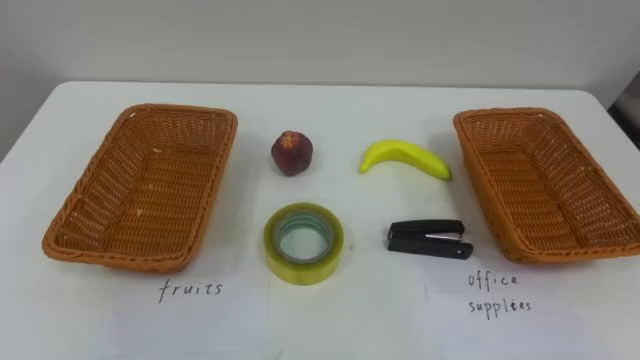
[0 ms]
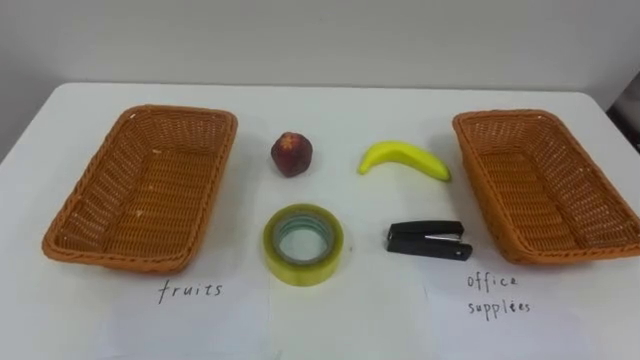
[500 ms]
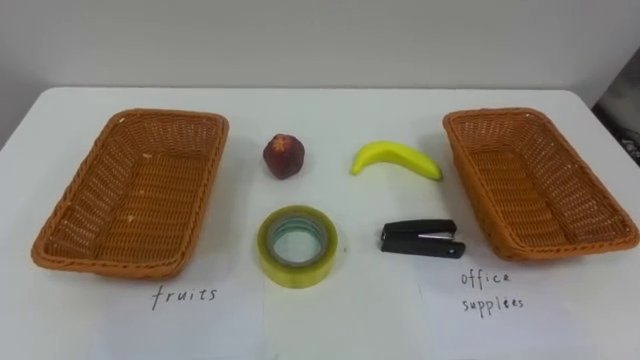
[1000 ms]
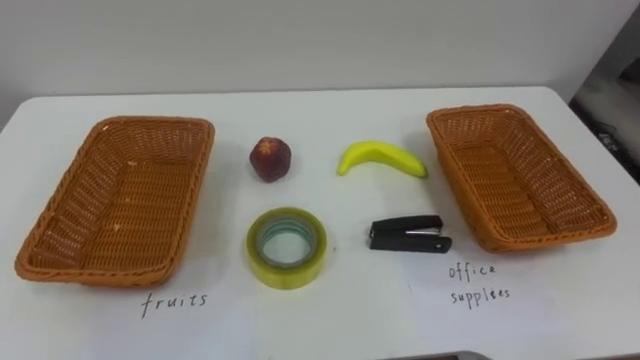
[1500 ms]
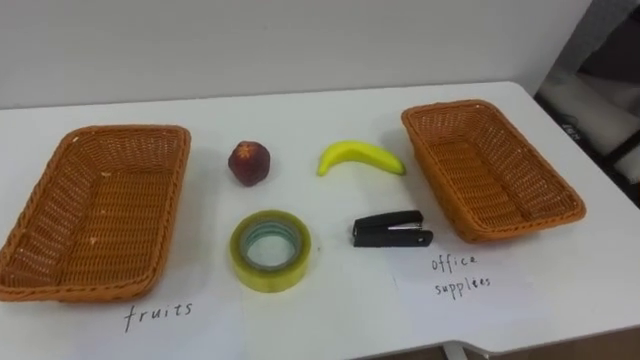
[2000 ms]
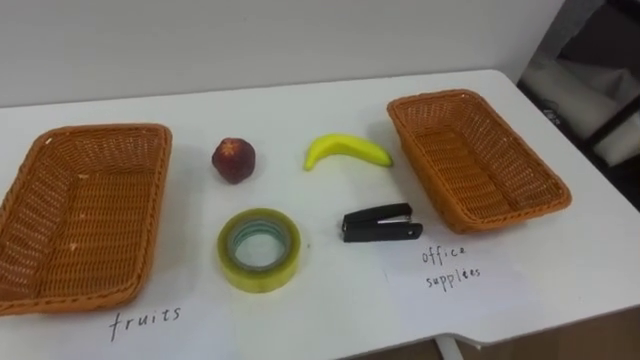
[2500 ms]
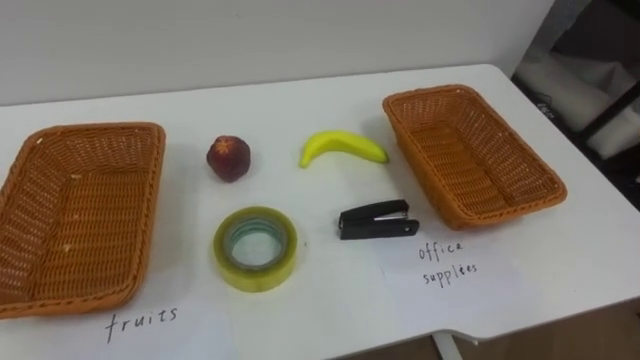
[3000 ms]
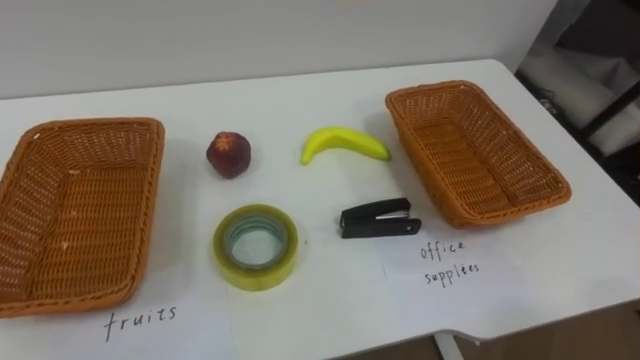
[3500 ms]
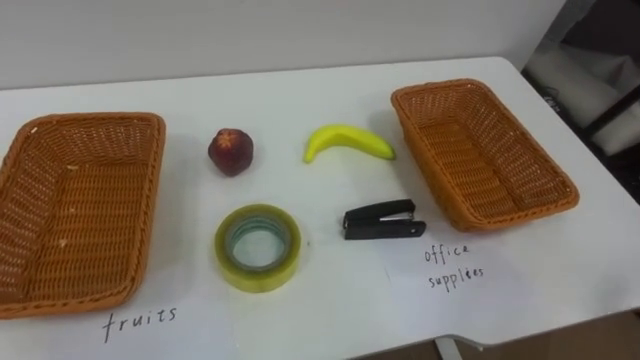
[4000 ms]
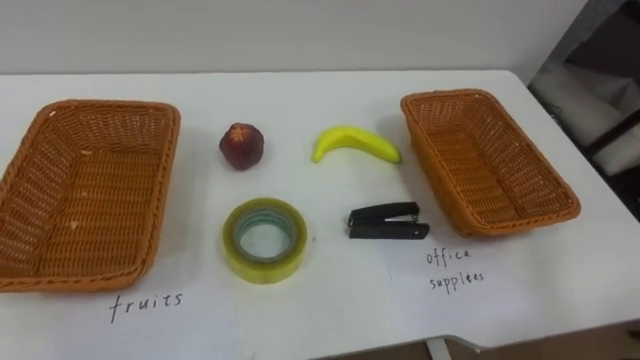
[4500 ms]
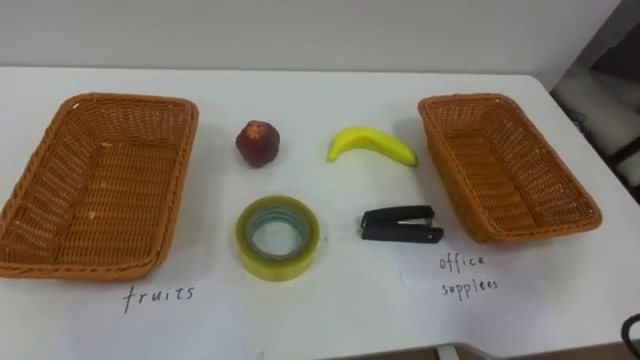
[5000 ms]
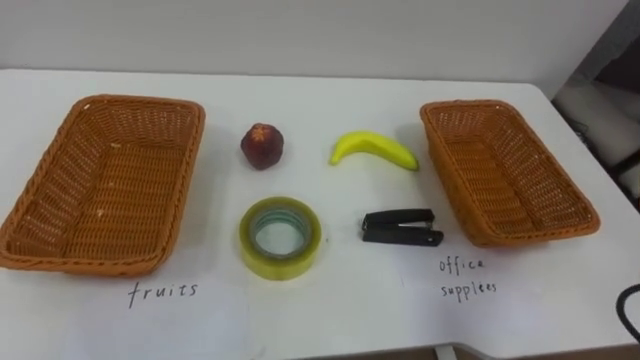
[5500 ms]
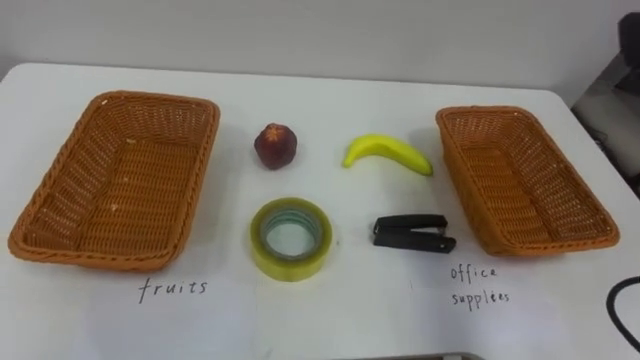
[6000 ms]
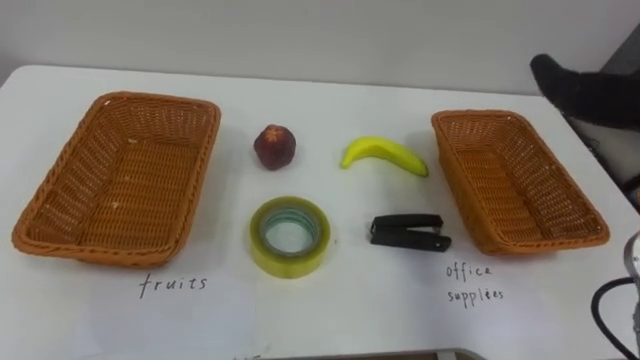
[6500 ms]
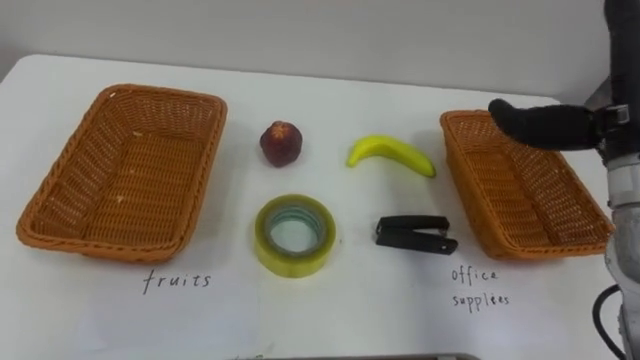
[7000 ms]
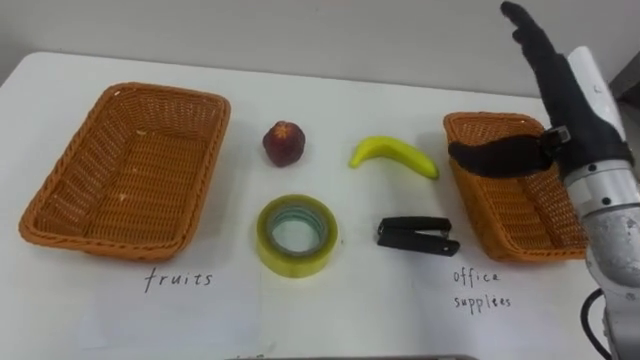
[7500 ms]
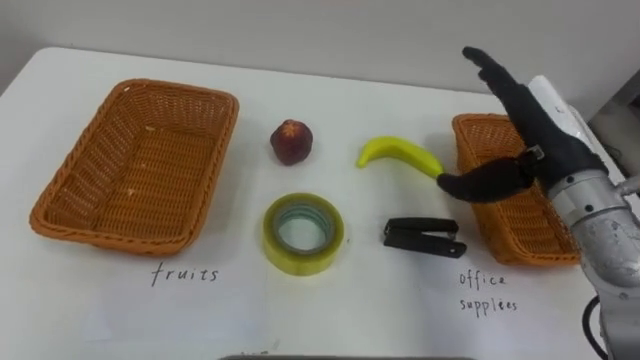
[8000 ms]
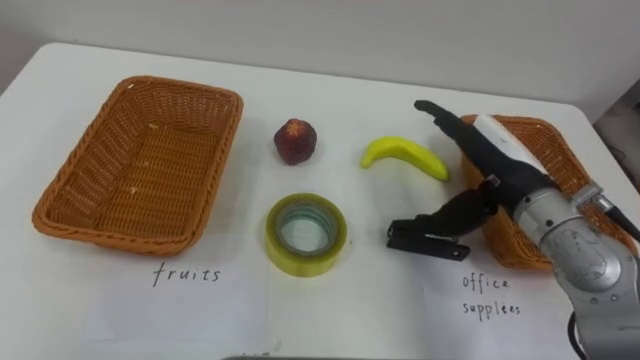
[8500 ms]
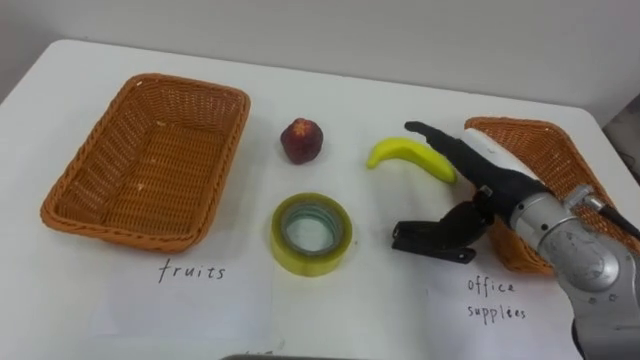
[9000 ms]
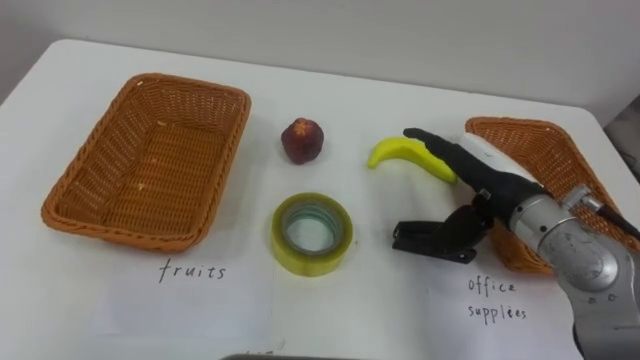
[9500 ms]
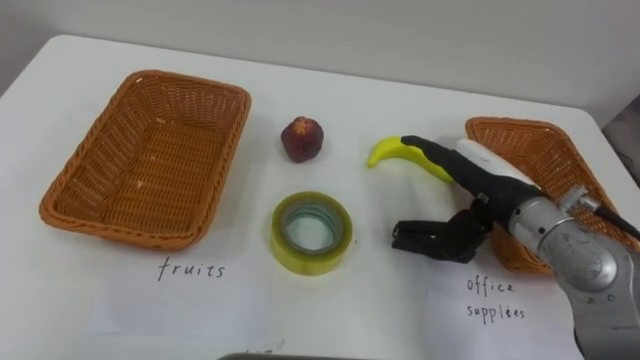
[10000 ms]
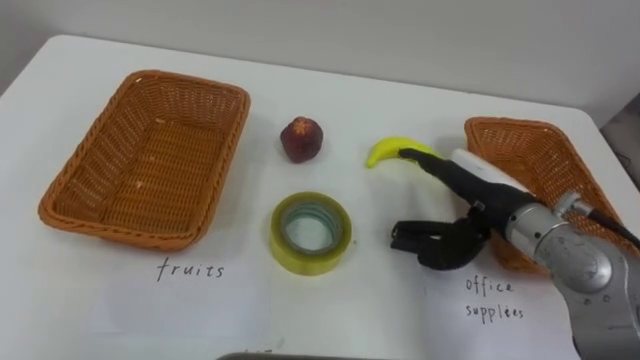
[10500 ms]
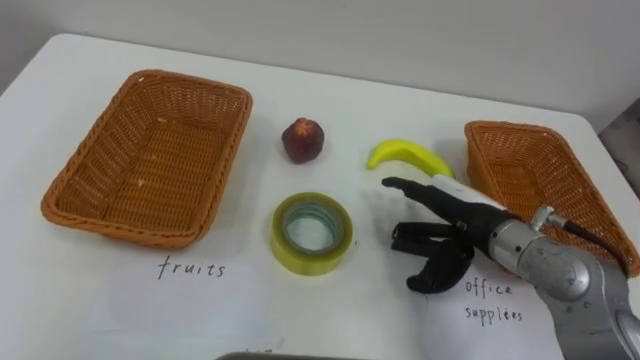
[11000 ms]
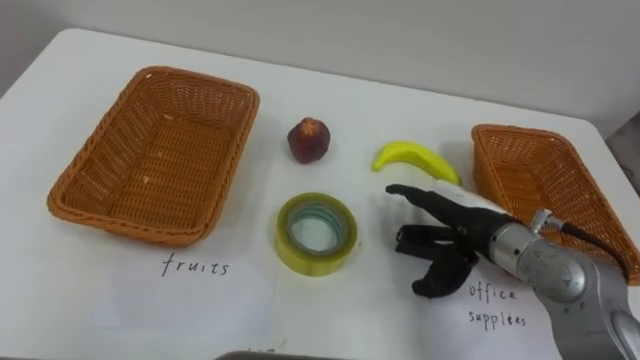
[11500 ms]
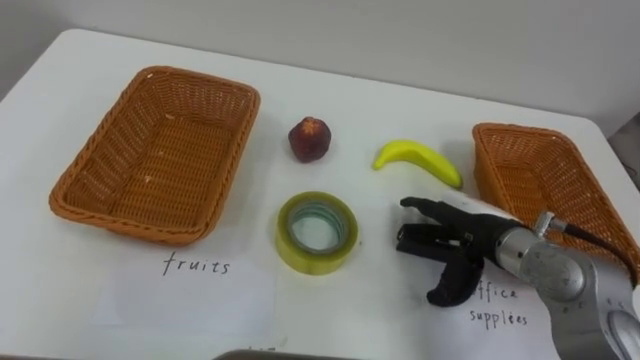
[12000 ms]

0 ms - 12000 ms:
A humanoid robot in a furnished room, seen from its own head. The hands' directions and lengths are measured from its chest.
Task of the whole recording: Separate the items on the table and place them into the two baskets.
8000 ms - 10000 ms: The right hand shifts roughly 5 cm downward.
10000 ms - 12000 ms: The right hand goes some 5 cm downward.

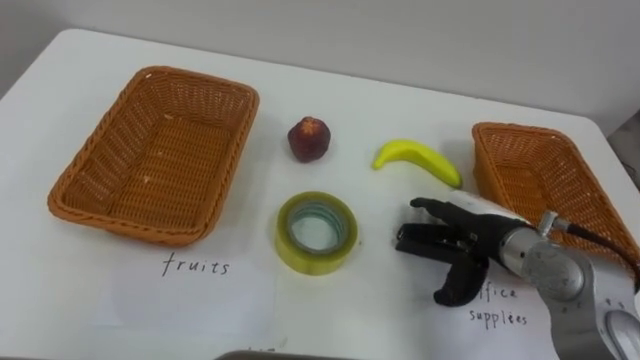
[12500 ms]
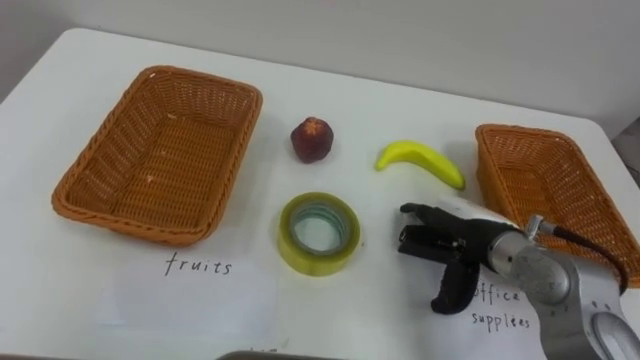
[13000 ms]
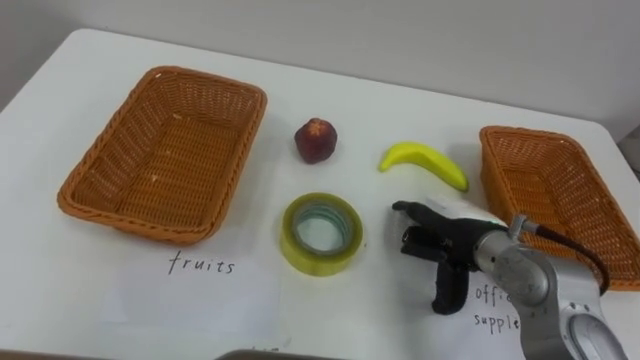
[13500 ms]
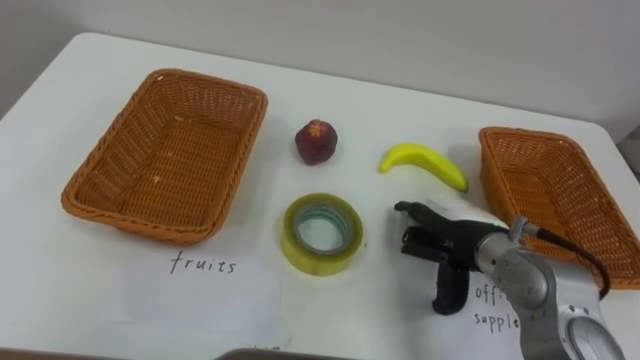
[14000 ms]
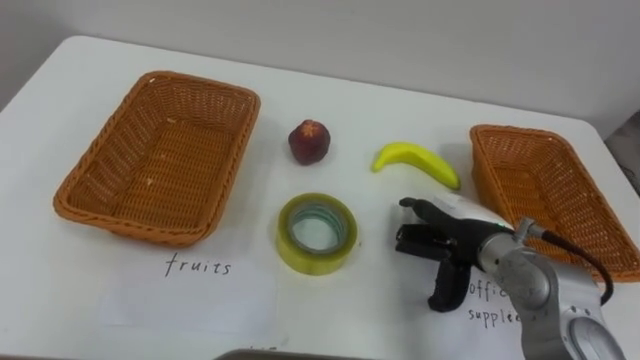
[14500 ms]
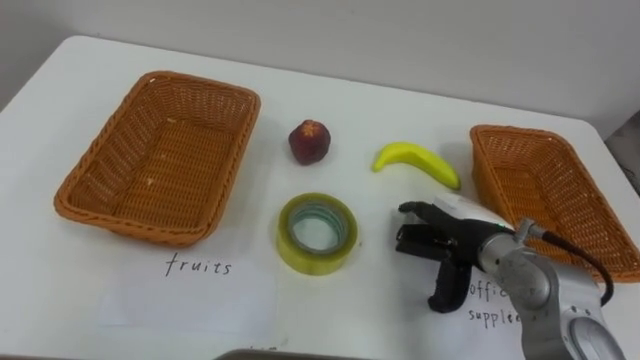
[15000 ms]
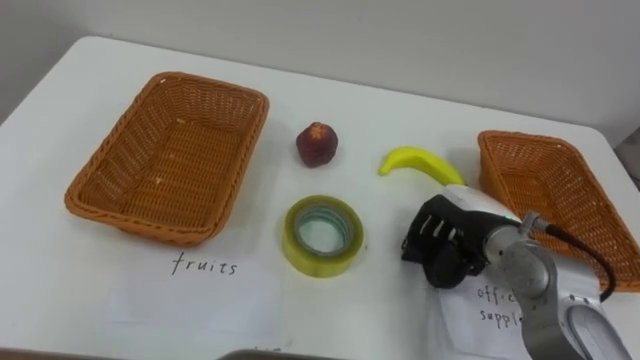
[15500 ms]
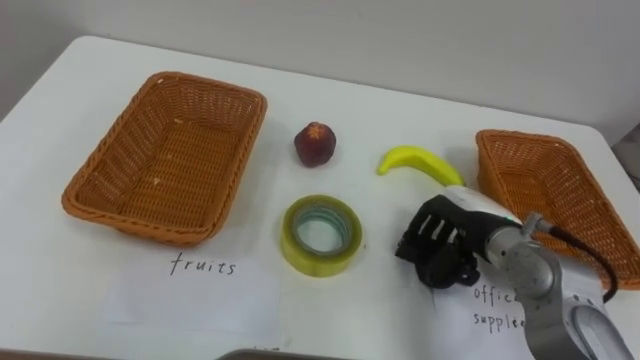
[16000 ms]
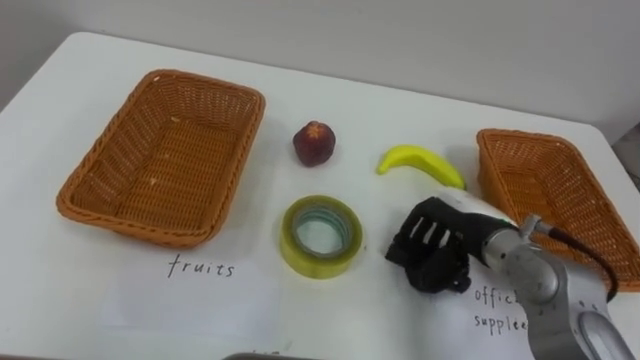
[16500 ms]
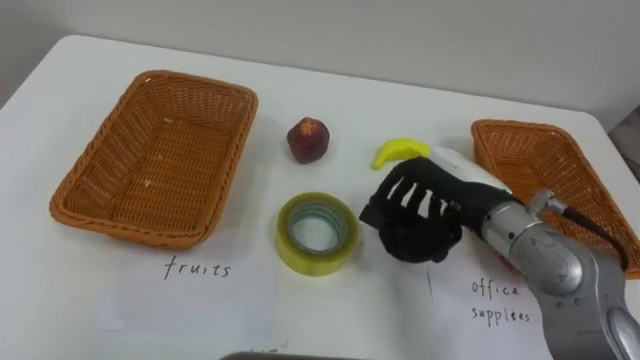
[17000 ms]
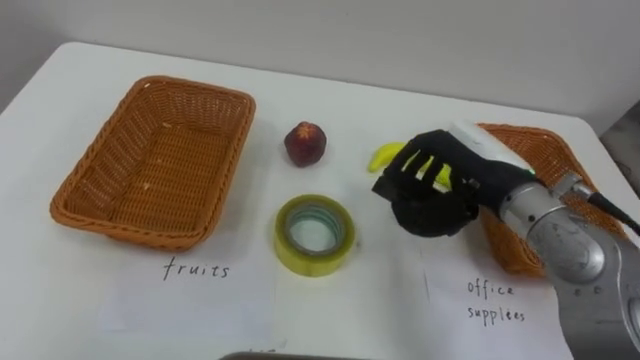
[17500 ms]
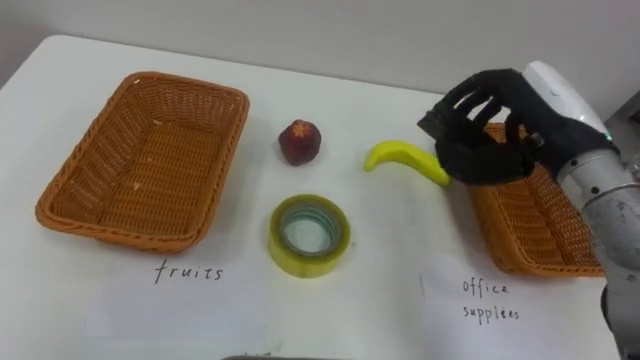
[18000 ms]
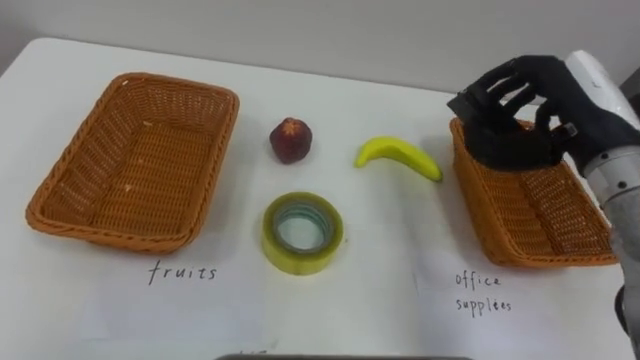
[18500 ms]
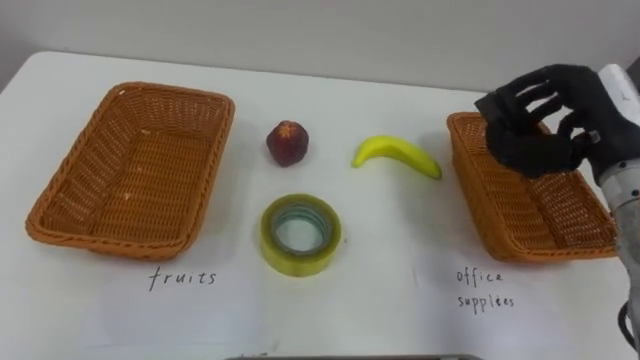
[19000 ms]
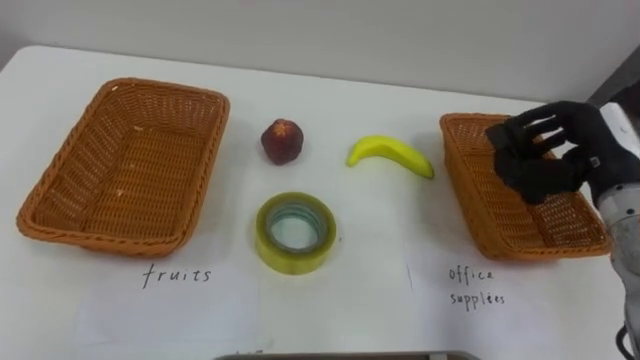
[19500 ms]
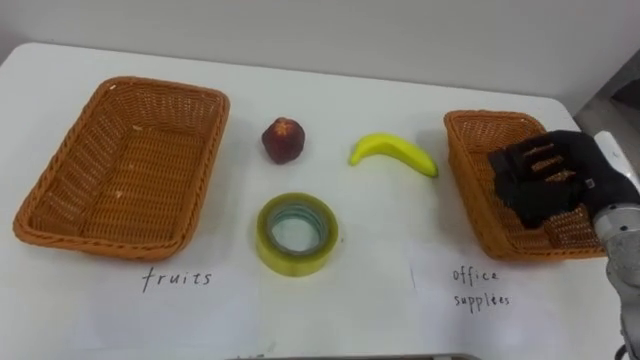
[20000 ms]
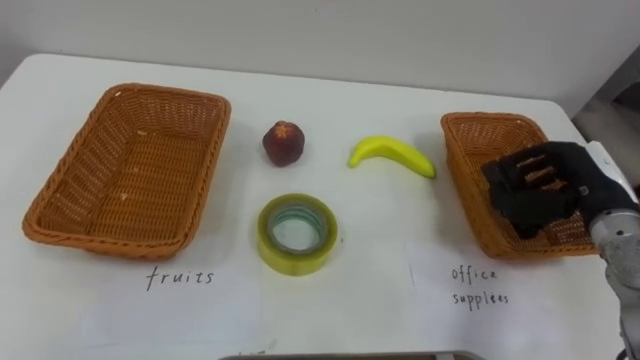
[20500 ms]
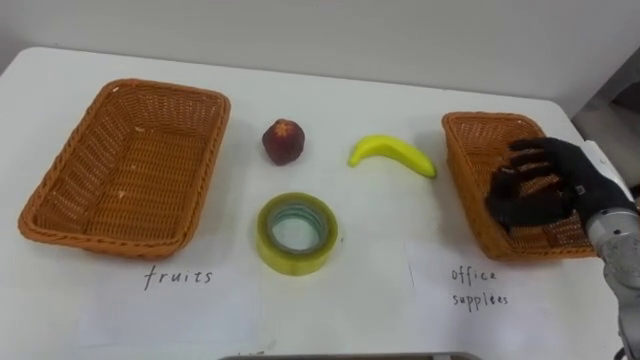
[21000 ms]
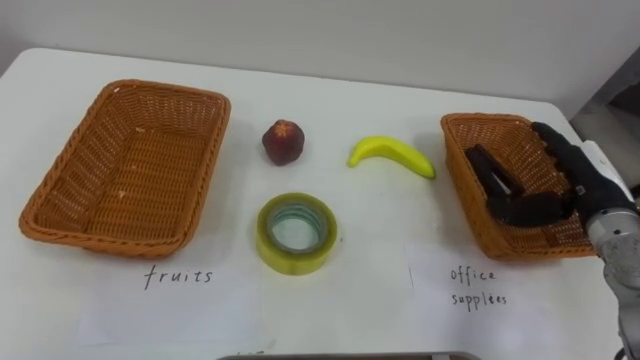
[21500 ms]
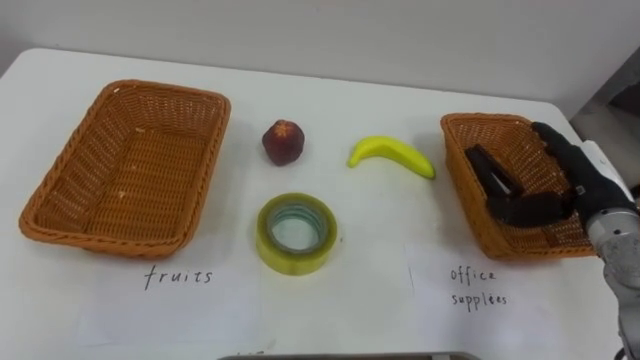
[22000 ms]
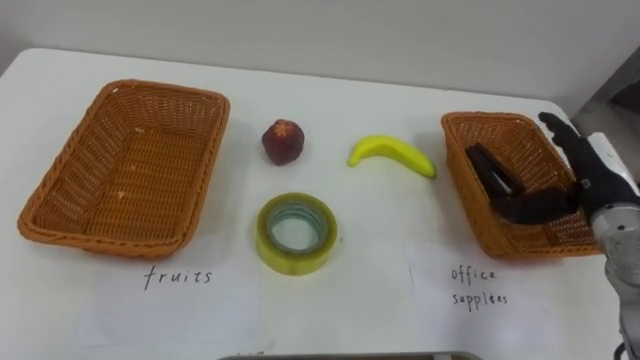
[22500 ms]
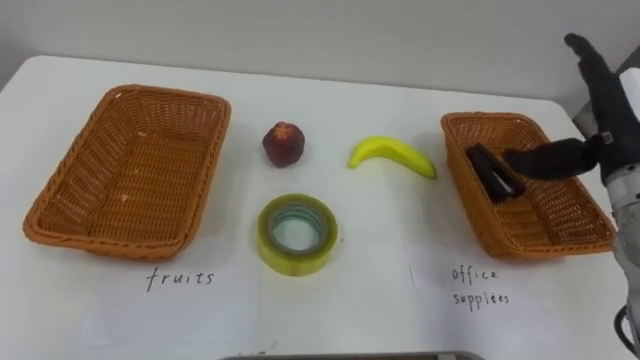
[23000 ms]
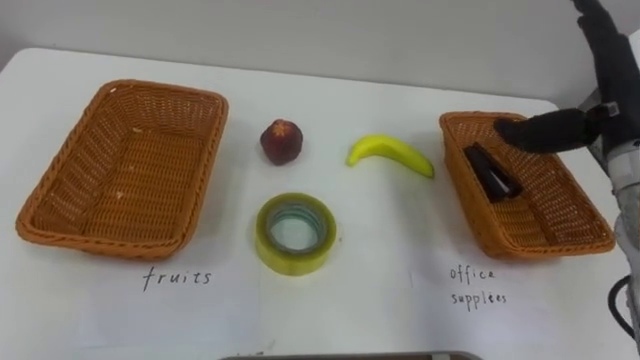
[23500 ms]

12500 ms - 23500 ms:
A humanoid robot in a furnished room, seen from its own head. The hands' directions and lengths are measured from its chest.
Task of the whole recording: Separate the items on the table and place them into the two baskets.
14500 ms - 16000 ms: The right hand closes its fingers.
16000 ms - 18000 ms: The right hand travels upward by about 15 cm.
18000 ms - 20000 ms: The right hand moves to the right and downward, about 15 cm.
20000 ms - 21500 ms: The right hand opens up.
21500 ms - 23500 ms: The right hand is displaced upward by approximately 15 cm.
